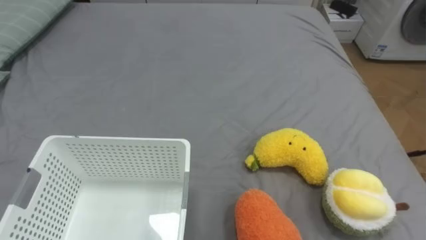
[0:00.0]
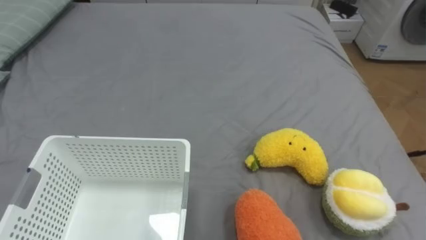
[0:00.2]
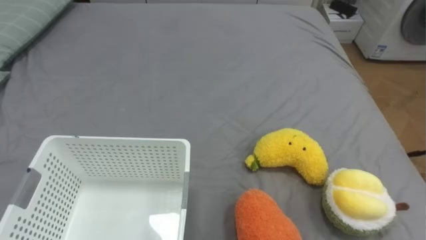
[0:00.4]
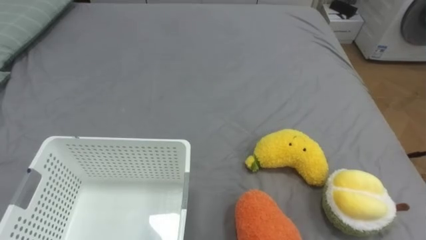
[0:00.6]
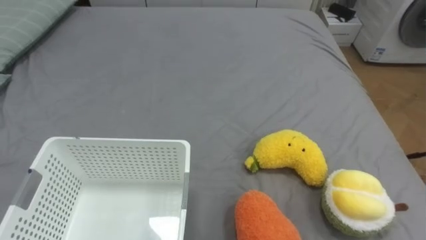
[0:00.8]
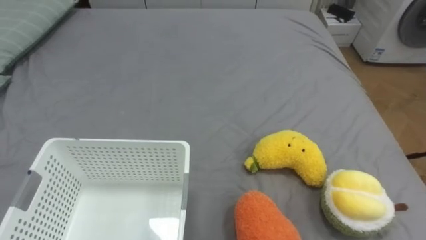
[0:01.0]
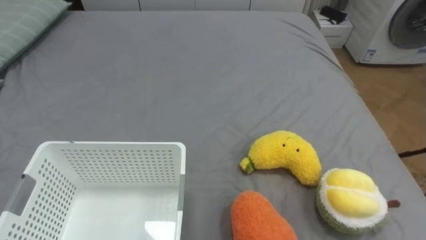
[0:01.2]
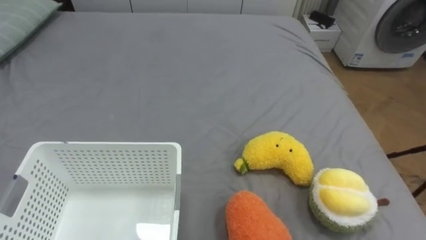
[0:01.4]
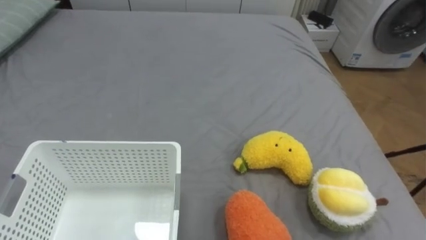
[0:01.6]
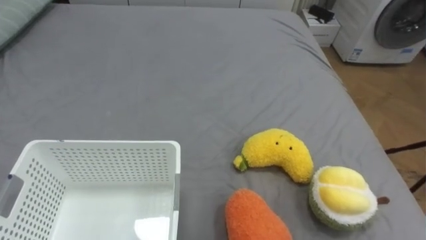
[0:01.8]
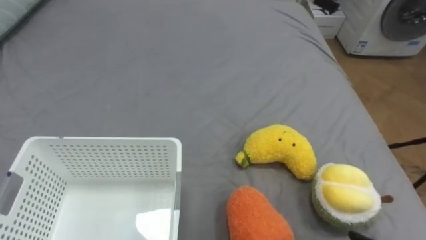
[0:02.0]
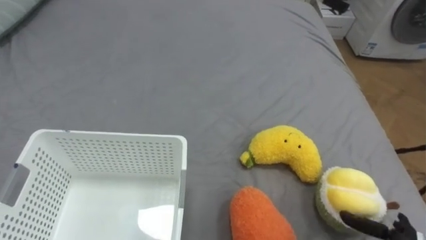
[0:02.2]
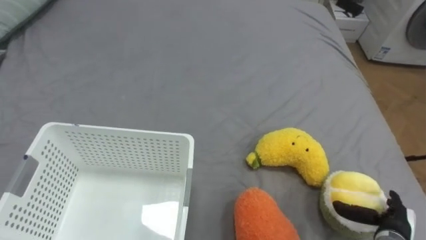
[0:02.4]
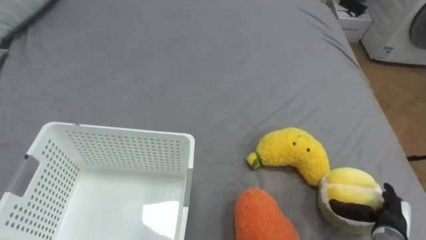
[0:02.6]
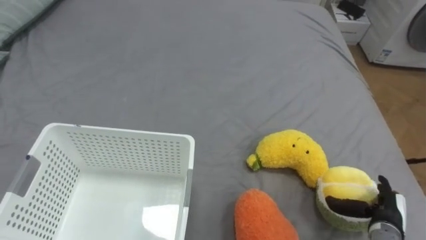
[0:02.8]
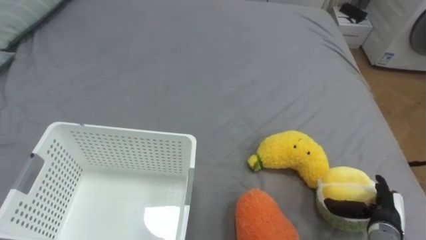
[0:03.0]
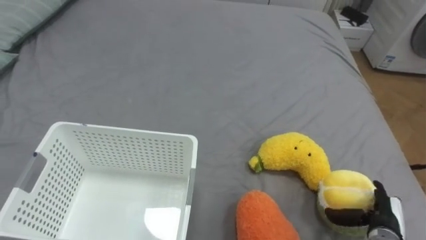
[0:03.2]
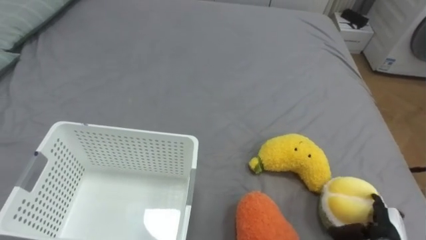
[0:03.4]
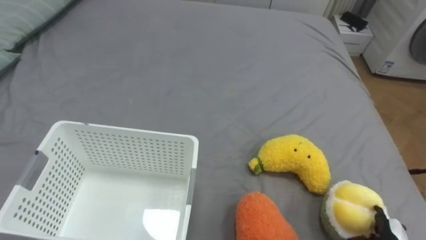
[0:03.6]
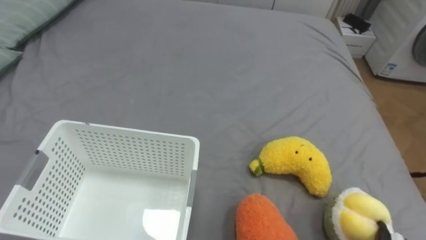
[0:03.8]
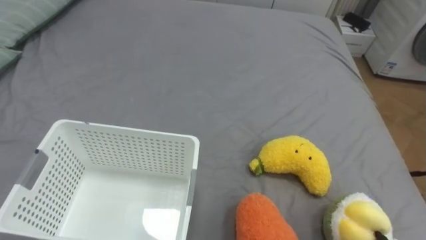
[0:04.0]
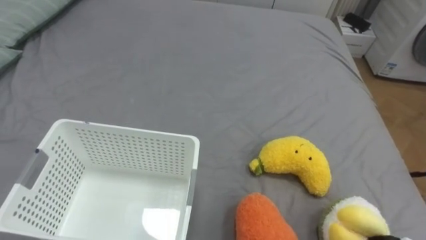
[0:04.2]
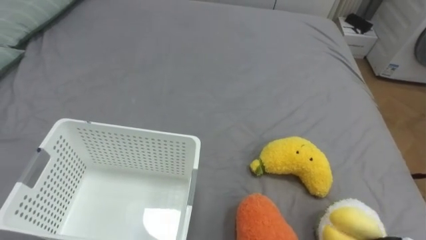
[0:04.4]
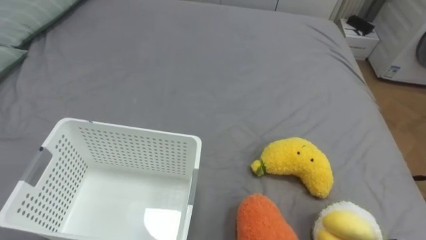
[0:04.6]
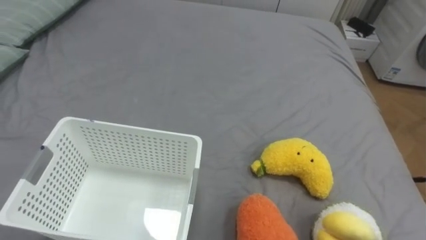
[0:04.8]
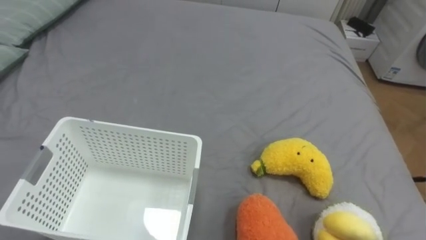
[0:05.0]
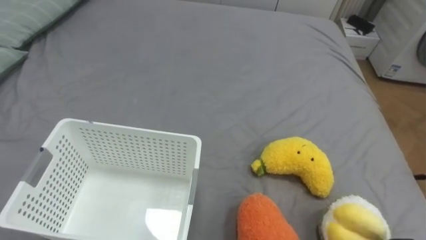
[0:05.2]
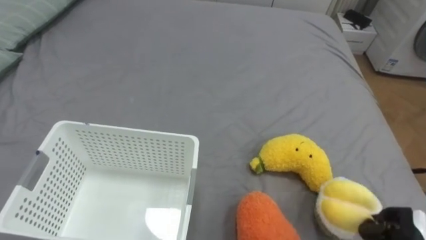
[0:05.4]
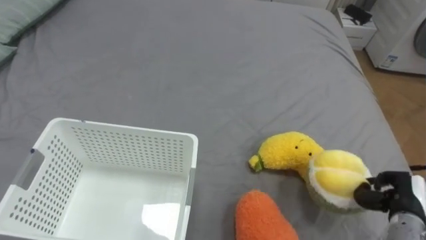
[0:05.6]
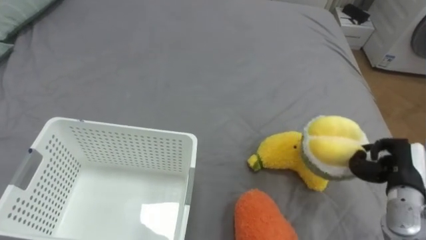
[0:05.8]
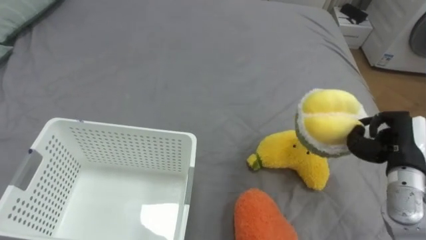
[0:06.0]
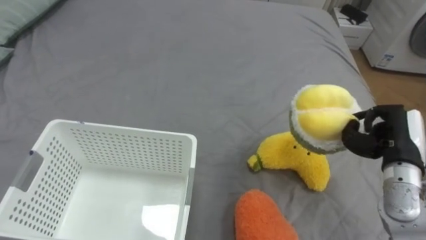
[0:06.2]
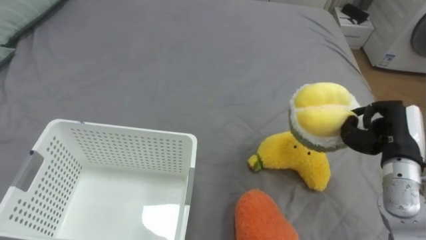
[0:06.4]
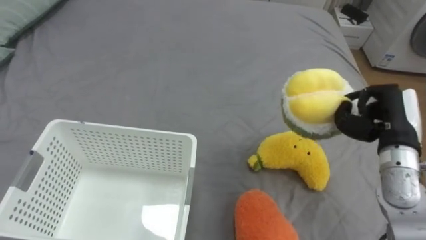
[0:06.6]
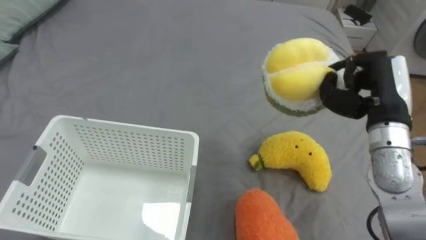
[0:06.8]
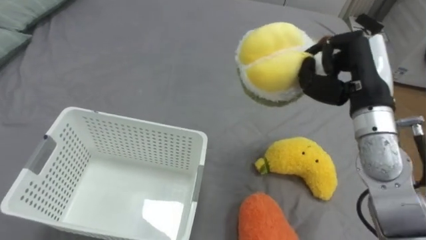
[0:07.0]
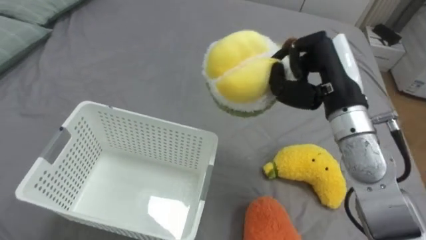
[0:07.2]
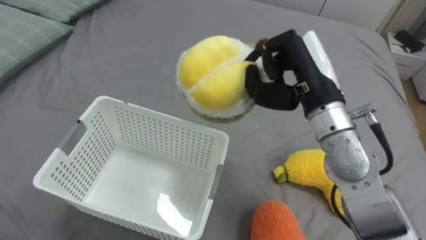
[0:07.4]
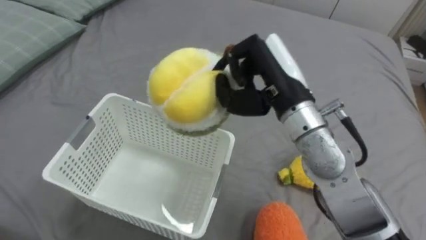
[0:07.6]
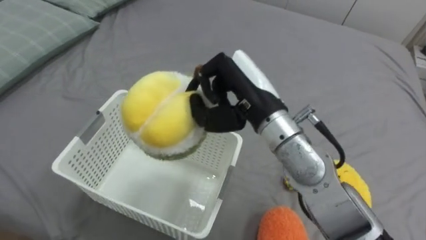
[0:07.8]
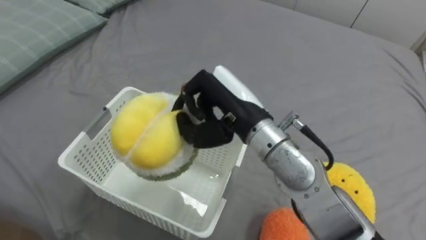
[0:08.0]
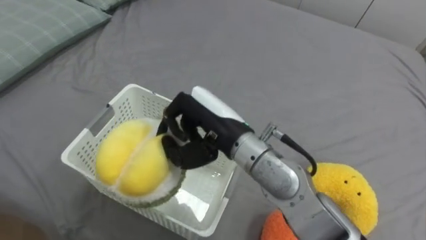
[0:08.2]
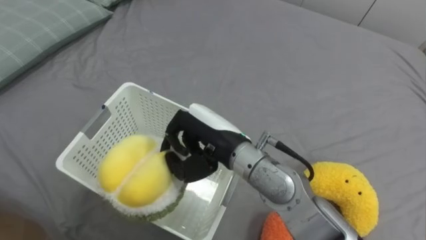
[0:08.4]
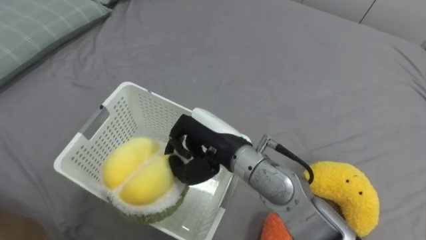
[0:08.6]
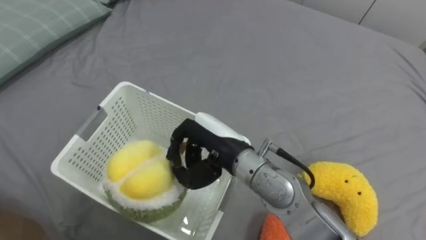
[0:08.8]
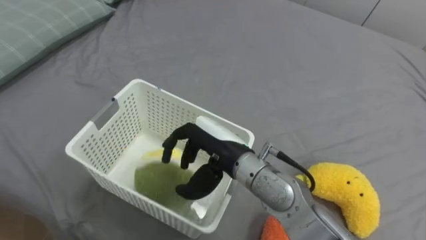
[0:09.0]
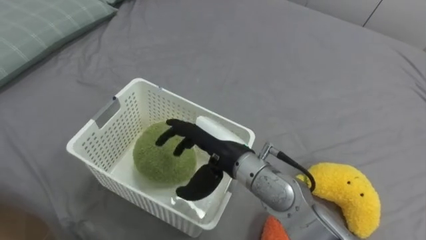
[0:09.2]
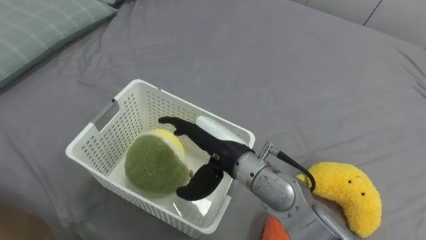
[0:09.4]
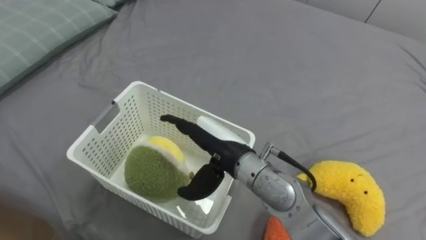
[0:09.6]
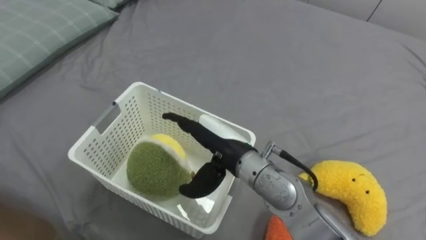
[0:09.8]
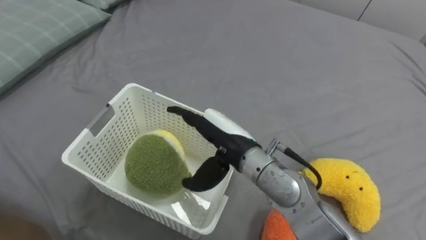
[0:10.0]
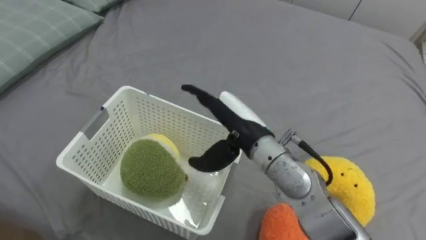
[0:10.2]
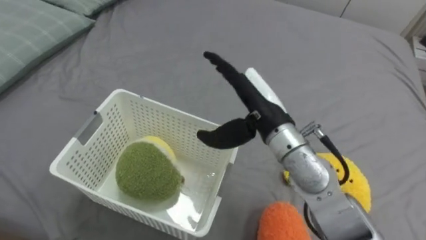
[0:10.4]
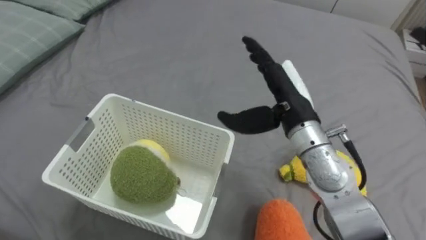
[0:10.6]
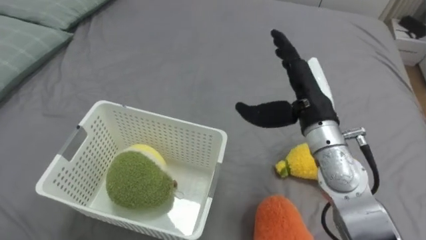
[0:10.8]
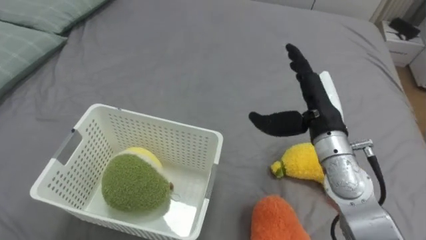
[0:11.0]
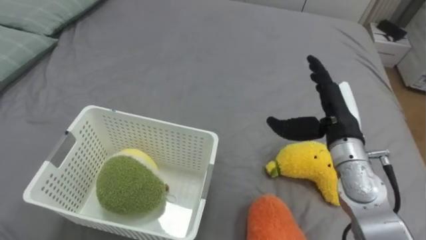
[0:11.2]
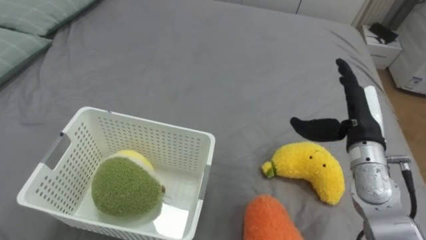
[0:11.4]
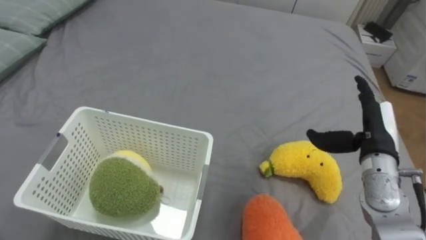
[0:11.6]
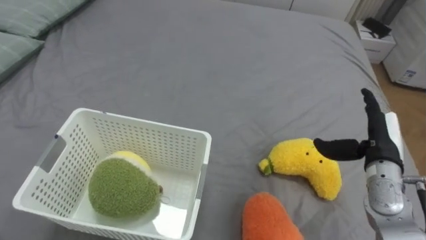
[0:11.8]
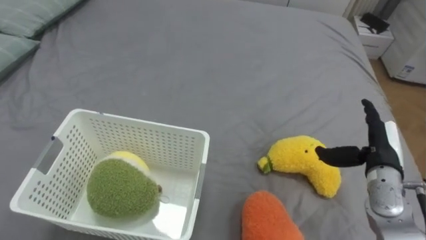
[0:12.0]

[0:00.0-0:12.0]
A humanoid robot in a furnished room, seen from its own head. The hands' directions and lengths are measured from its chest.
Task of the whole recording: Put the toys on the bed into the basket on the left.
6.0 to 7.6 s: The right hand moves to the left and upward, roughly 25 cm.
7.6 to 9.0 s: The right hand goes approximately 15 cm downward and to the left, and opens up.
9.0 to 10.4 s: The right hand goes about 10 cm to the right and upward, and opens up.
10.4 to 12.0 s: The right hand heads to the right and downward, covering roughly 25 cm.

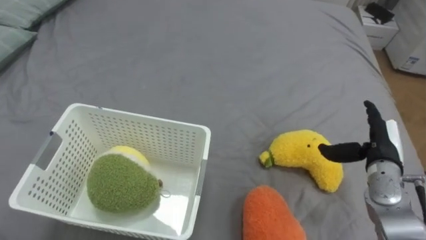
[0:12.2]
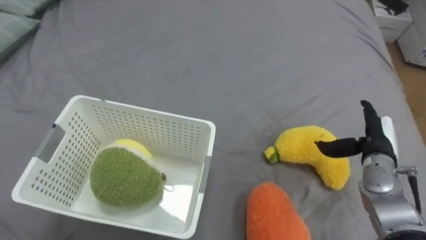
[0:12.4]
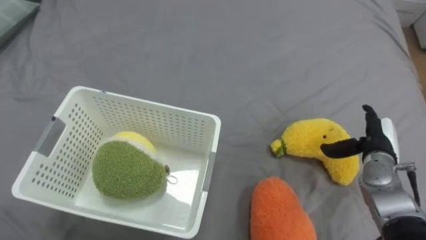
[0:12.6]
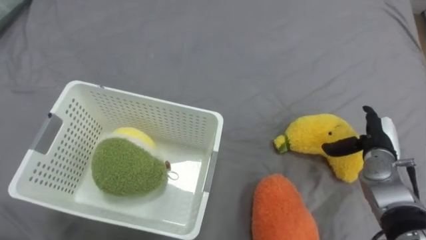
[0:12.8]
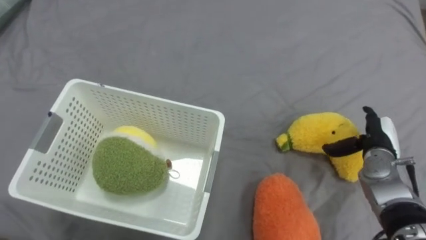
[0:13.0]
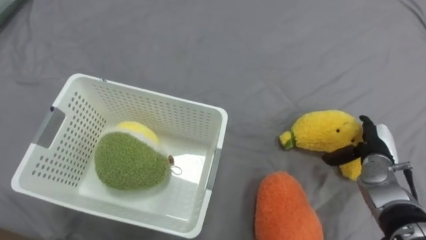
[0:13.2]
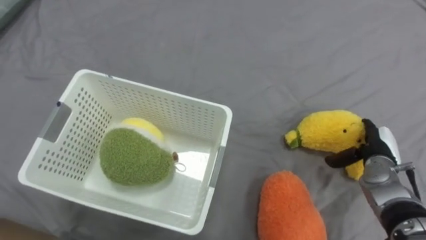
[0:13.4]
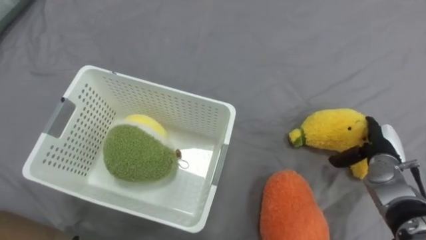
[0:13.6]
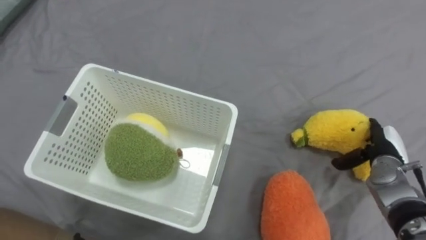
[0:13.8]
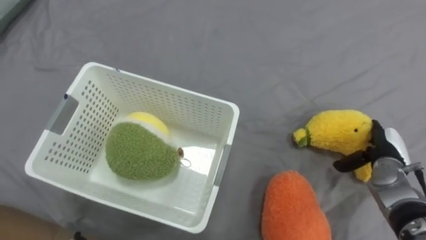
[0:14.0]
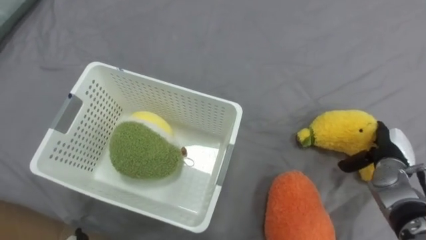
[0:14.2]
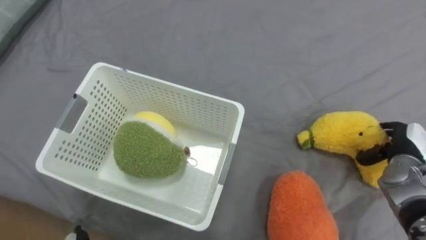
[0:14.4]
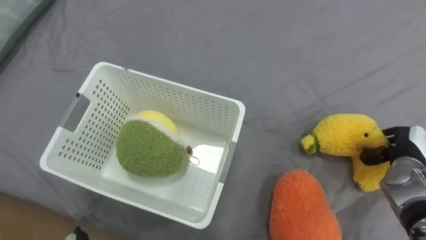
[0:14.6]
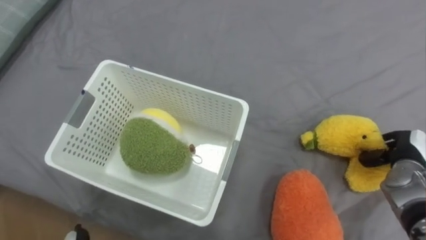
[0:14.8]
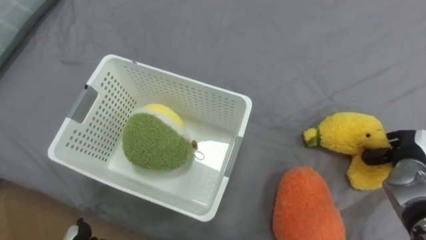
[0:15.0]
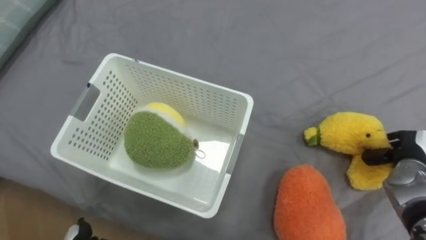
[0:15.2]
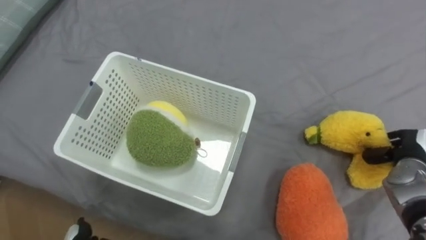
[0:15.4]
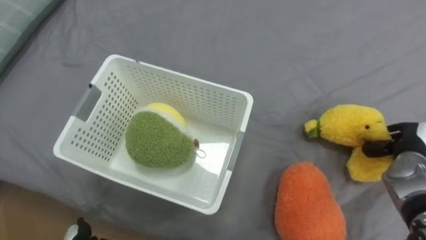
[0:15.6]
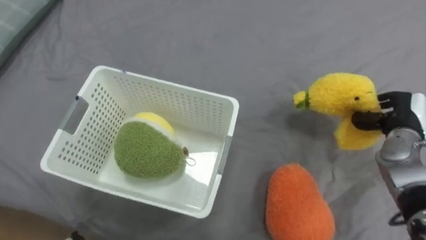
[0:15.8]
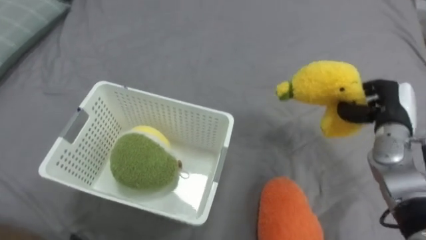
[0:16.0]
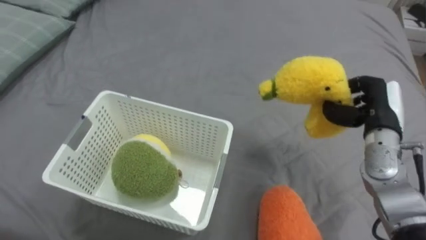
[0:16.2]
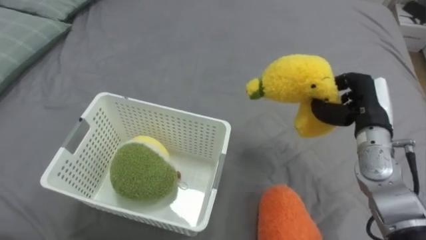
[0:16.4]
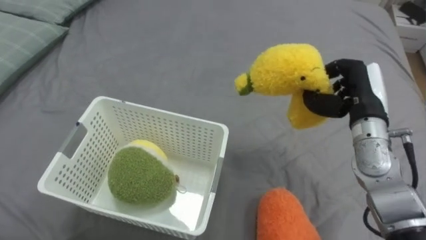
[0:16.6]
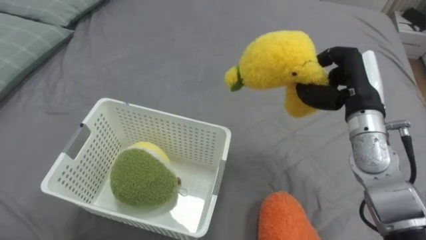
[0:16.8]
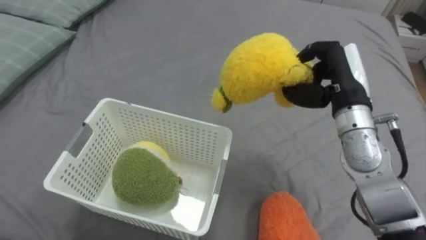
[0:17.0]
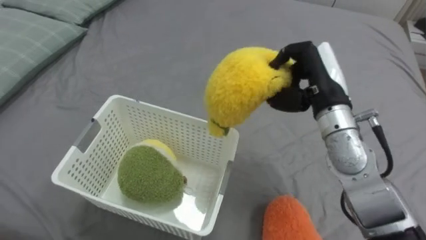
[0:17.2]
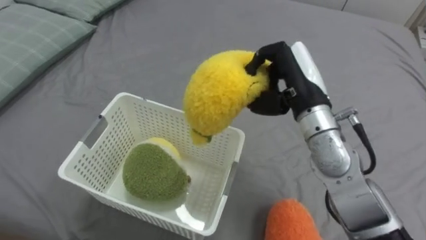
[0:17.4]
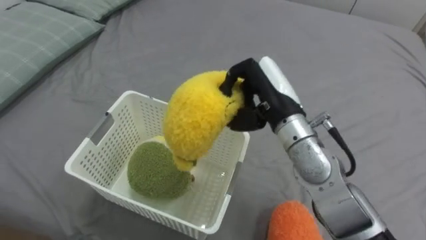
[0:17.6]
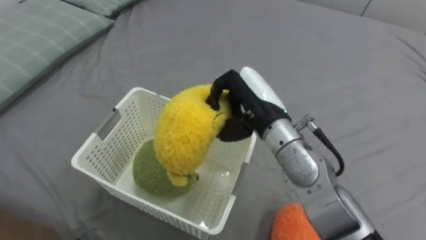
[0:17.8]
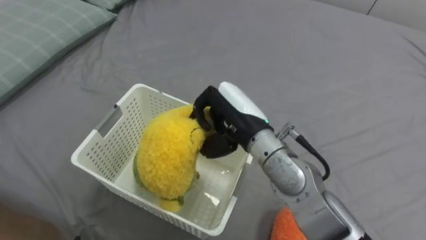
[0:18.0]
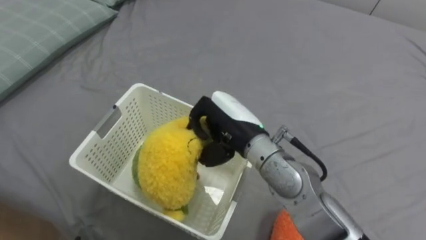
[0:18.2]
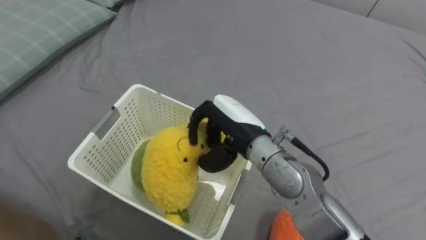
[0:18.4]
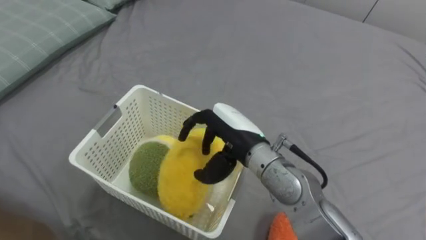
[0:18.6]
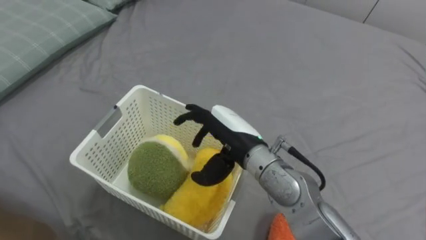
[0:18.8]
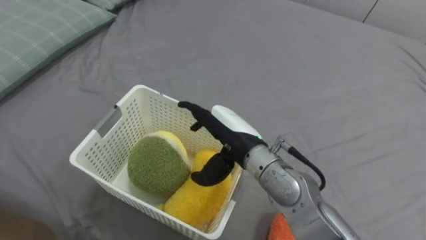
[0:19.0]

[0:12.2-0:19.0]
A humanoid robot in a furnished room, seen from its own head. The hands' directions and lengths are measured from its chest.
Task of the whole recording: Put the toys on the bed into the basket on the left.
12.2 to 13.6 s: The right hand moves roughly 5 cm.
13.6 to 15.0 s: The right hand changes place by roughly 5 cm, and closes.
15.0 to 16.2 s: The right hand travels upward and to the left by approximately 10 cm.
16.2 to 17.6 s: The right hand moves to the left, some 20 cm.
17.6 to 19.0 s: The right hand shifts about 10 cm to the left and downward, and opens.
